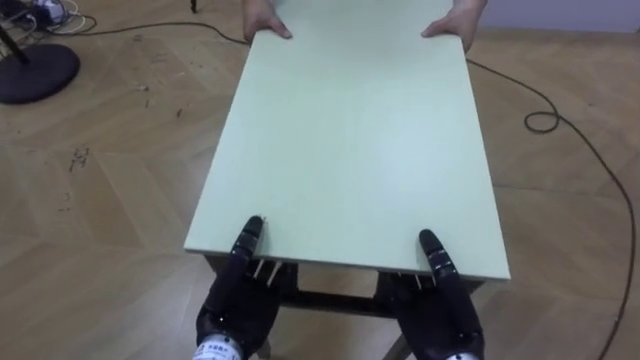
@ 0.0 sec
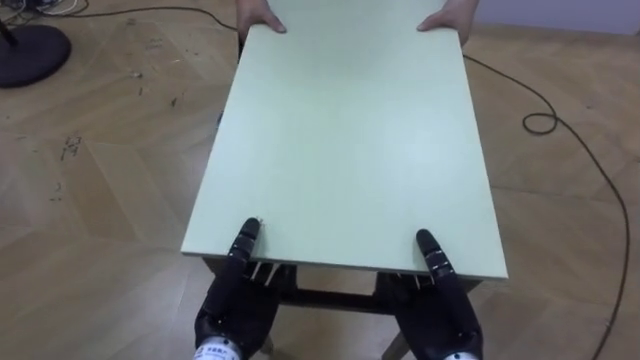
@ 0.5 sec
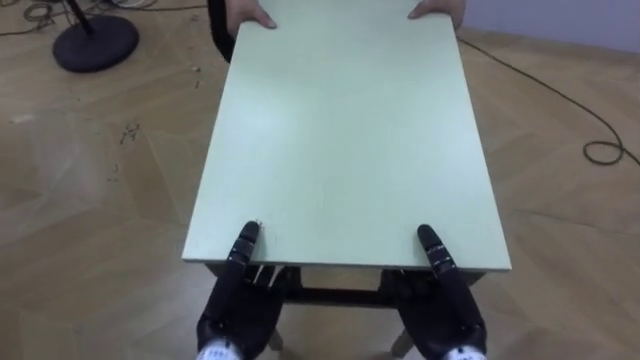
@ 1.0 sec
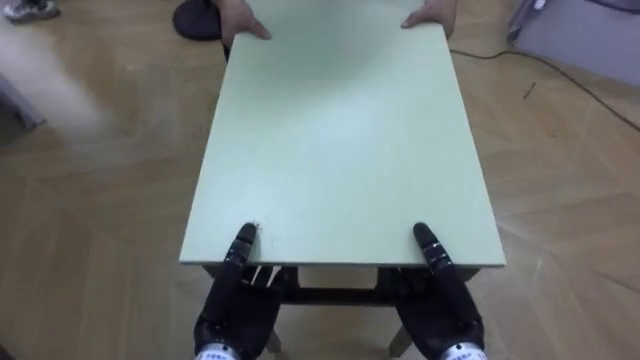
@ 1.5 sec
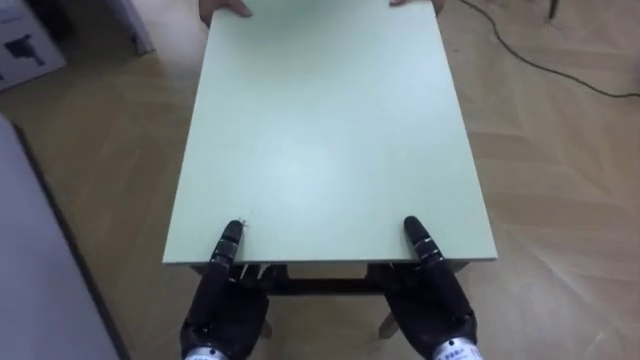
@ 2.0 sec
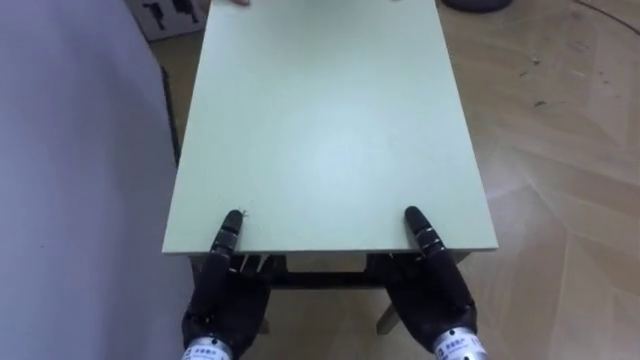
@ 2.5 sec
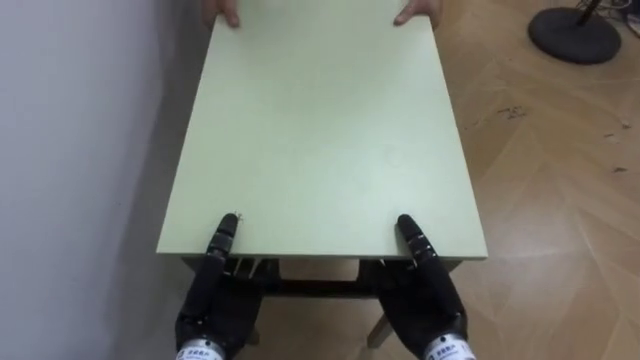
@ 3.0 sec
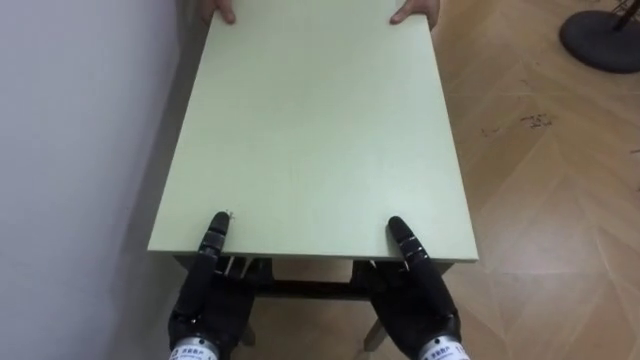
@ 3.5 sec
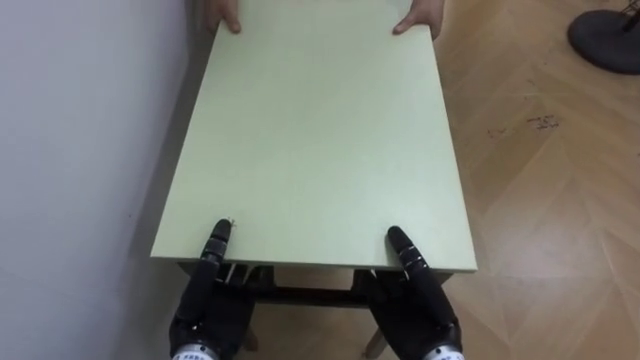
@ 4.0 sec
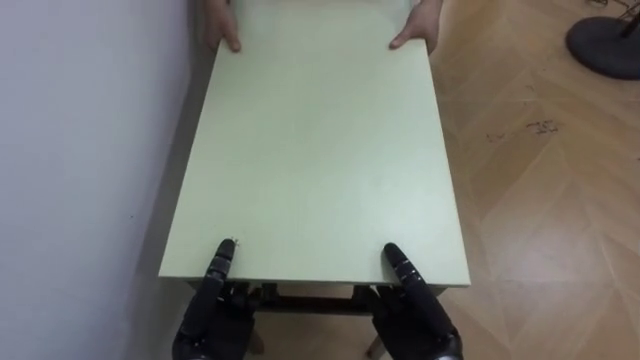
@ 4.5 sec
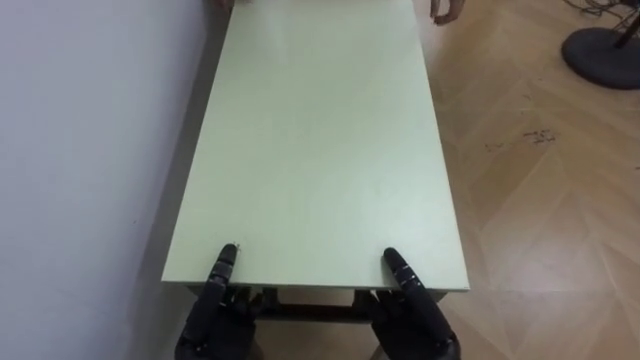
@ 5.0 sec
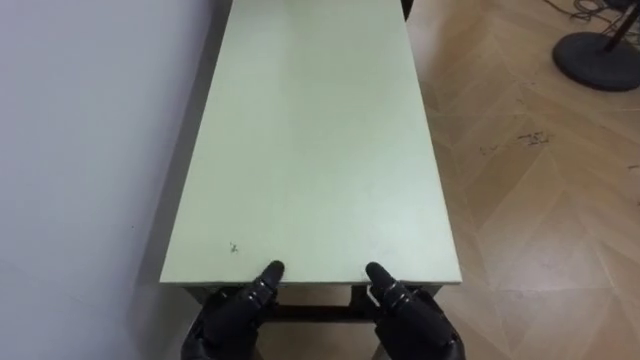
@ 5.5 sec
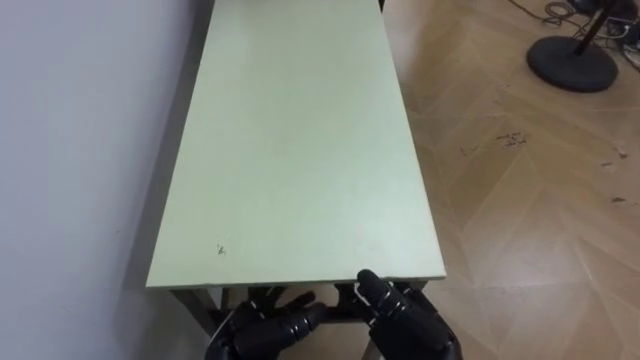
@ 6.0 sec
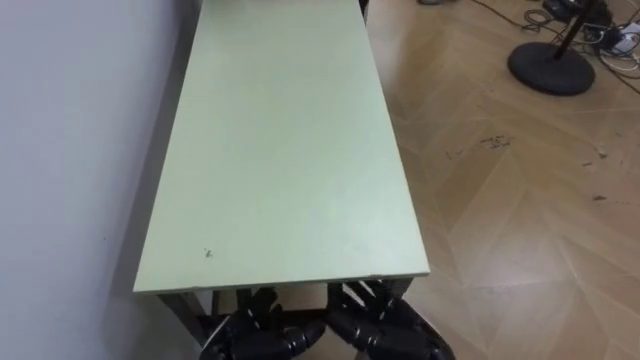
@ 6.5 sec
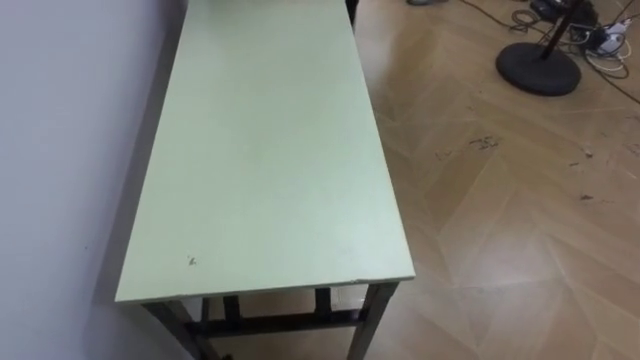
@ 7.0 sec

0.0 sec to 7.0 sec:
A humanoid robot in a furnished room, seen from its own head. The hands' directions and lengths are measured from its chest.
Task of the whole recording: Move the table to the back left with someone.
0.0 sec to 2.0 sec: The robot turns to its left by some 45 degrees.
2.0 sec to 3.5 sec: The robot turns to its left by approximately 35 degrees.
3.5 sec to 5.0 sec: The left hand moves some 5 cm.

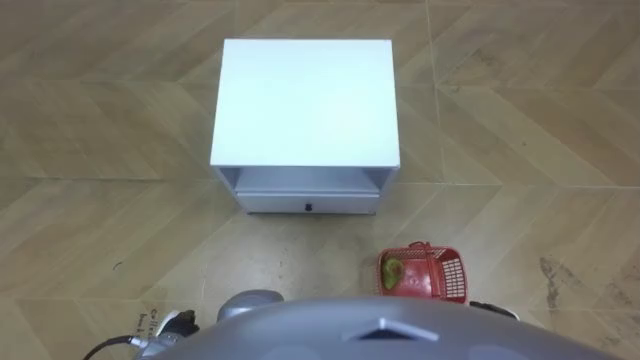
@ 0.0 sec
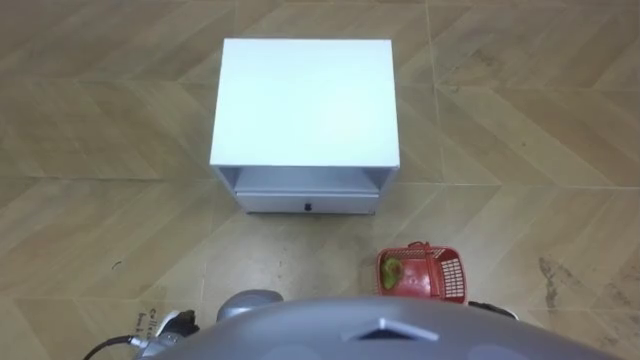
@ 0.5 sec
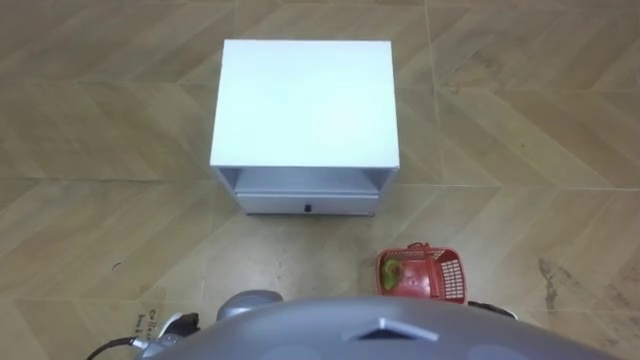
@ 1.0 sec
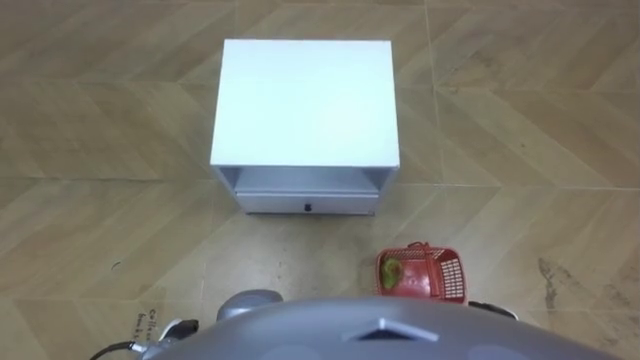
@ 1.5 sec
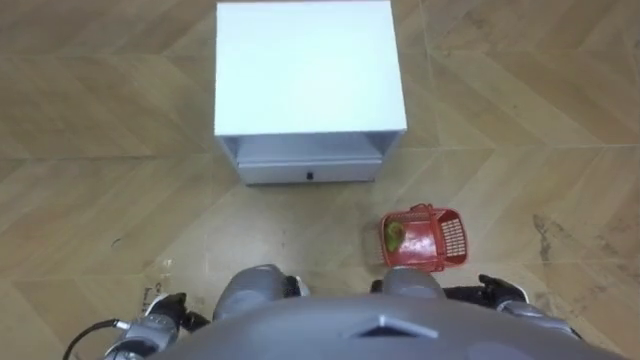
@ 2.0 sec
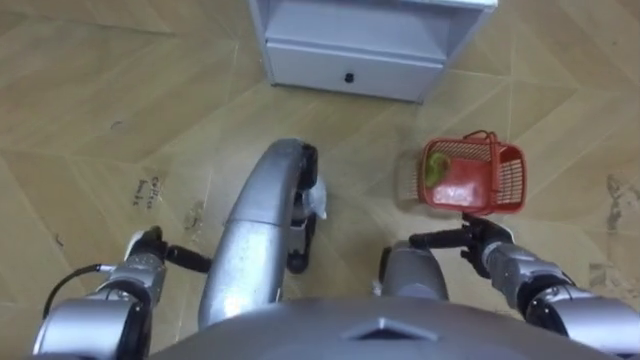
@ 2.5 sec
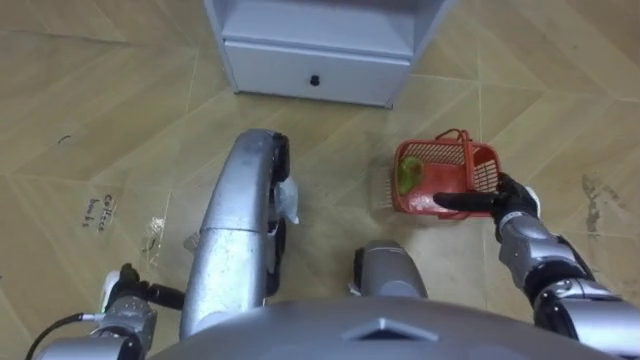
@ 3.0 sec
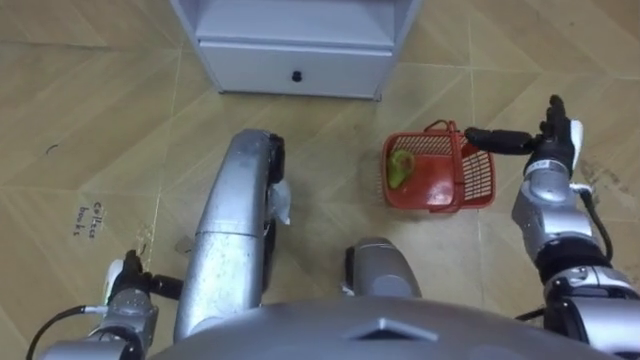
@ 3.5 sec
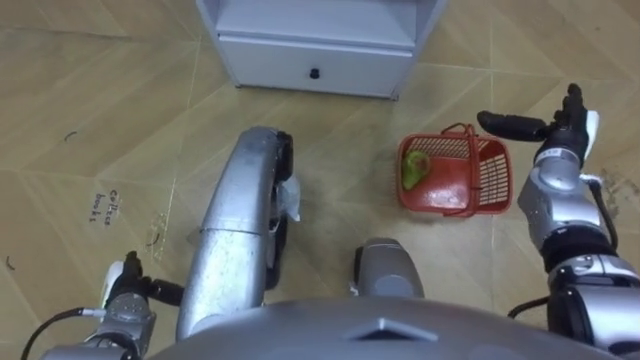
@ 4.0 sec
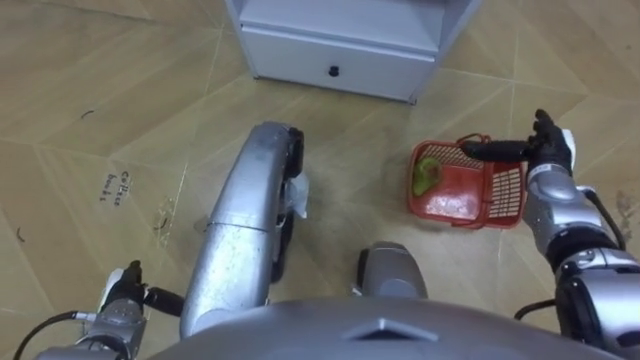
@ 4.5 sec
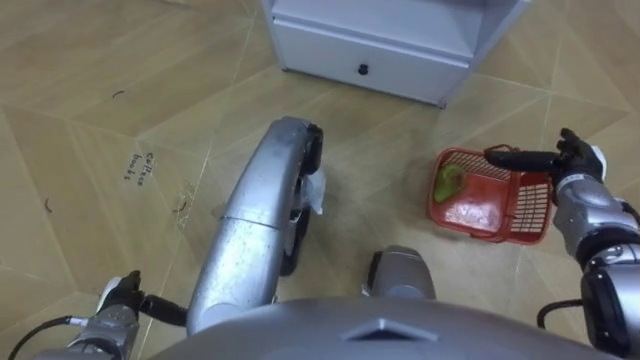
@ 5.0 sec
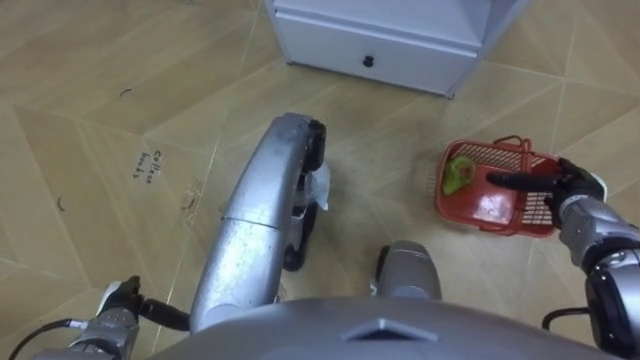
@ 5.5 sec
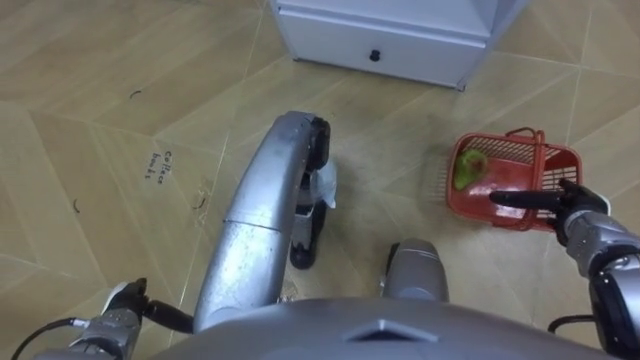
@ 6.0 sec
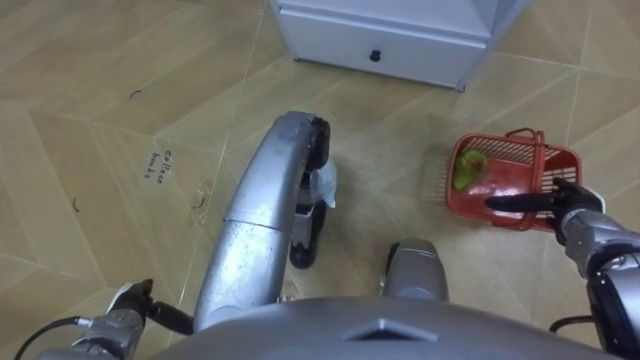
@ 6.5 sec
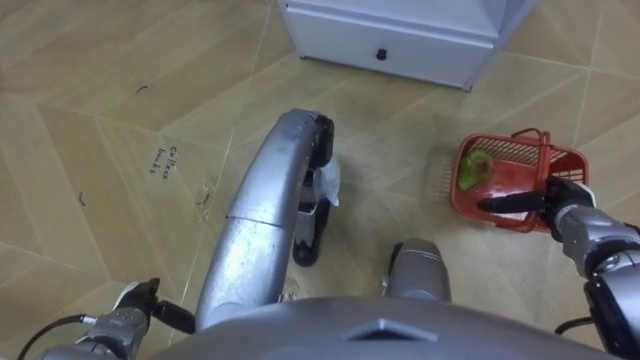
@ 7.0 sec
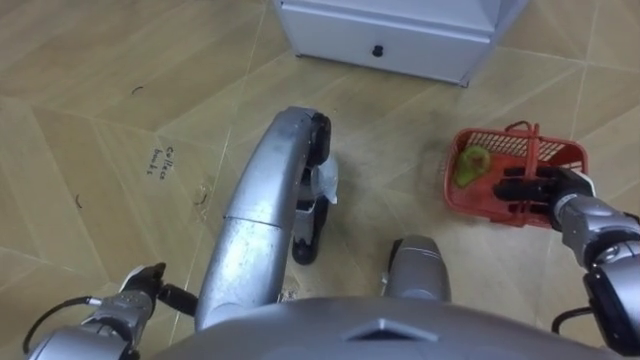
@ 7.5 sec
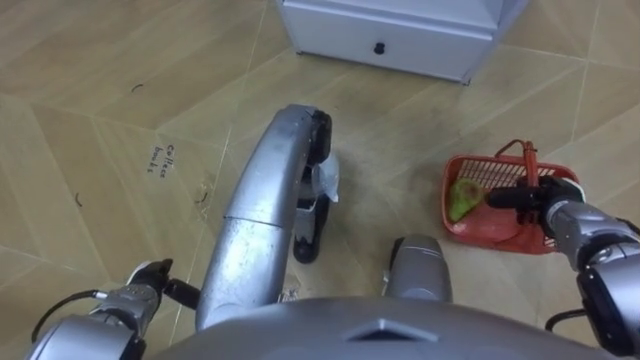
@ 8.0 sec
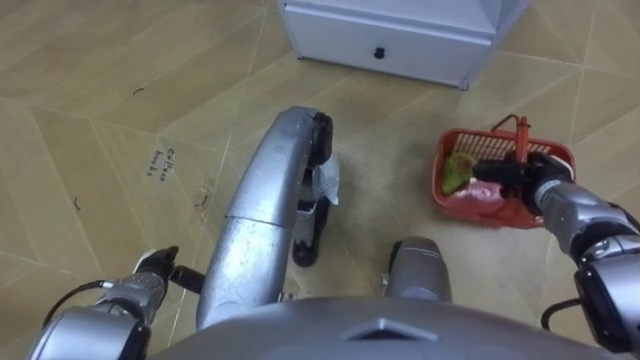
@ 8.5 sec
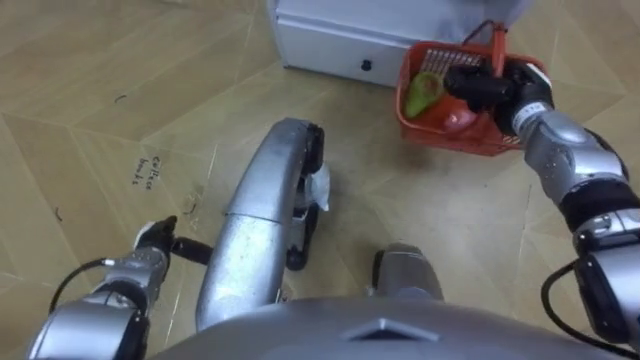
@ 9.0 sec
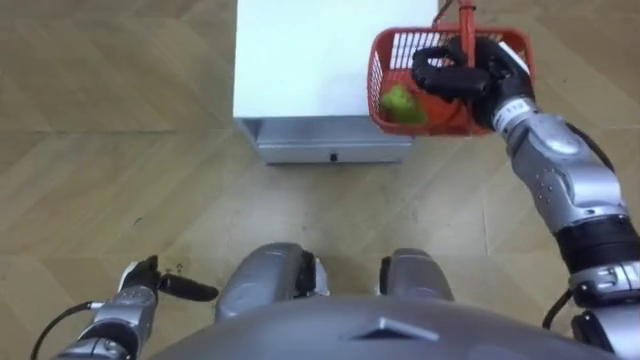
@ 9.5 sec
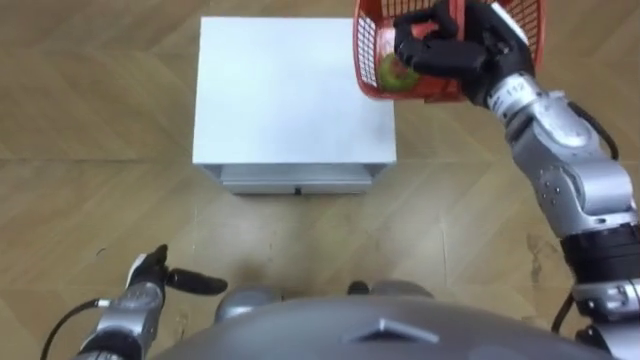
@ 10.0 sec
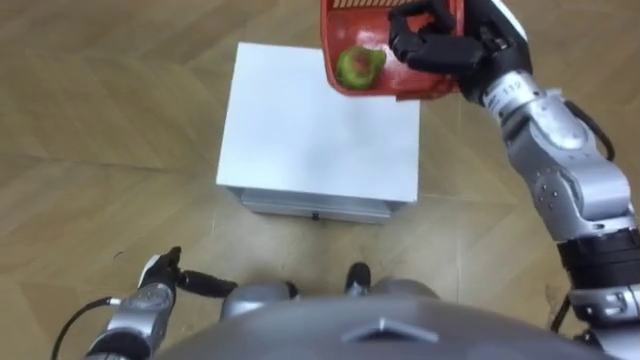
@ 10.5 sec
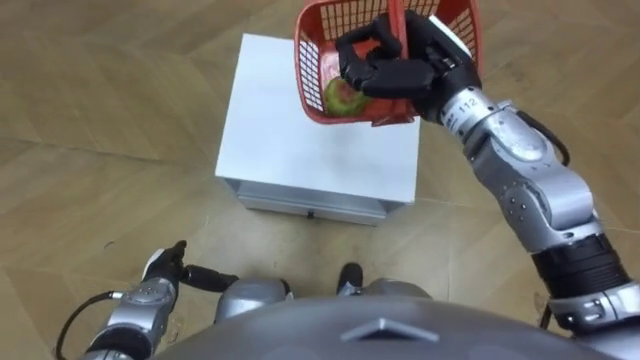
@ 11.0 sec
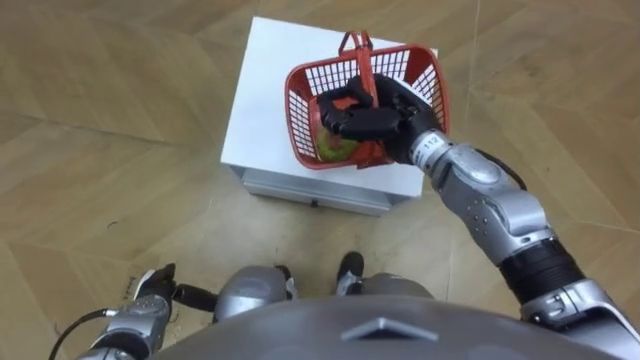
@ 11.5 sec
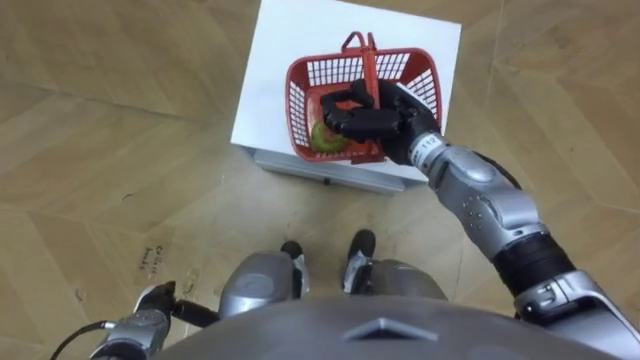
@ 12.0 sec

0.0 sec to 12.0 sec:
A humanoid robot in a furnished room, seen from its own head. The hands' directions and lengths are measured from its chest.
Task of the whole recording: Pick up the fruit basket from the floor and place it on the cabinet.
2.0 sec to 4.0 sec: The left hand heads to the left, covering roughly 5 cm. The right hand heads forward and upward, covering roughly 25 cm.
4.0 sec to 6.0 sec: The right hand goes about 10 cm backward and downward.
6.0 sec to 8.0 sec: The right hand closes its fingers.
8.0 sec to 10.0 sec: The right hand moves upward, to the left and forward, approximately 30 cm.
10.0 sec to 12.0 sec: The right hand goes some 10 cm downward and to the left.

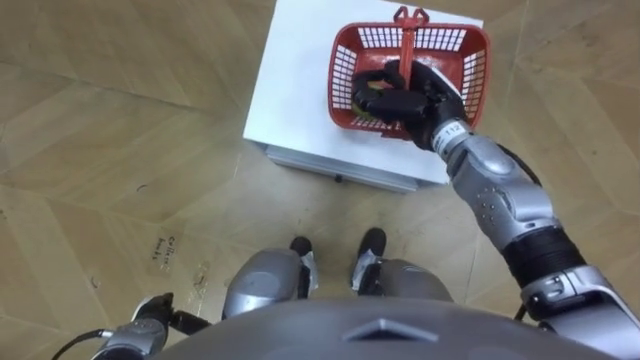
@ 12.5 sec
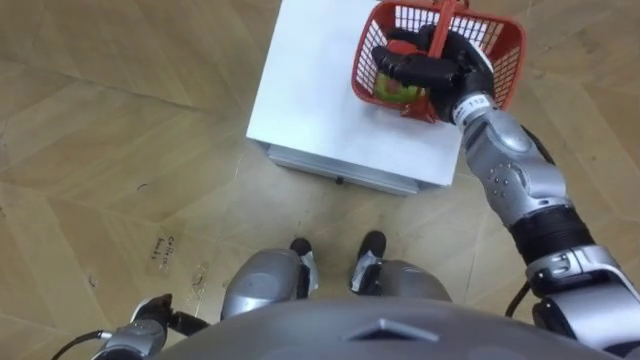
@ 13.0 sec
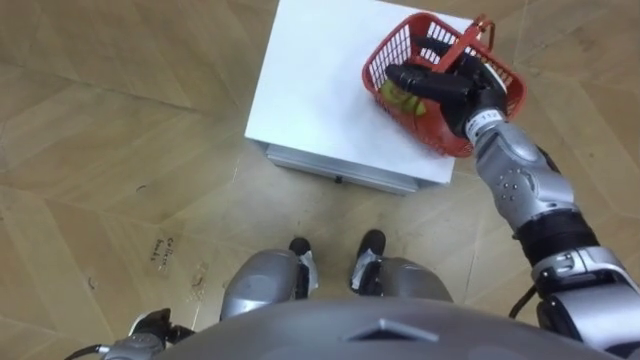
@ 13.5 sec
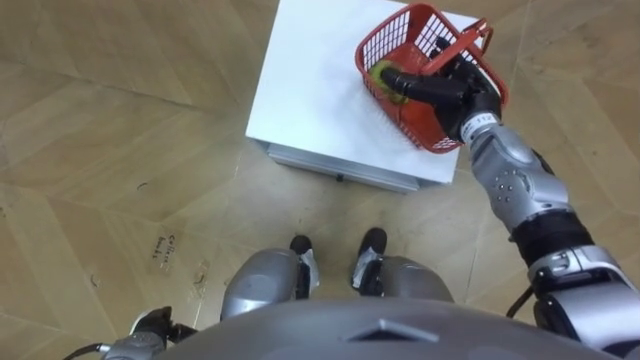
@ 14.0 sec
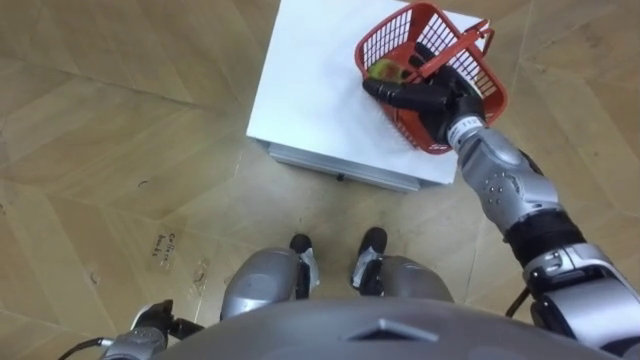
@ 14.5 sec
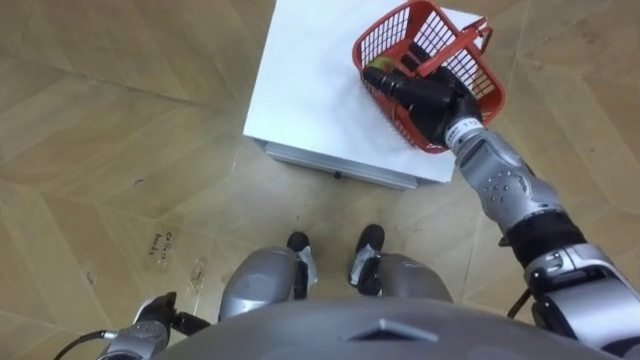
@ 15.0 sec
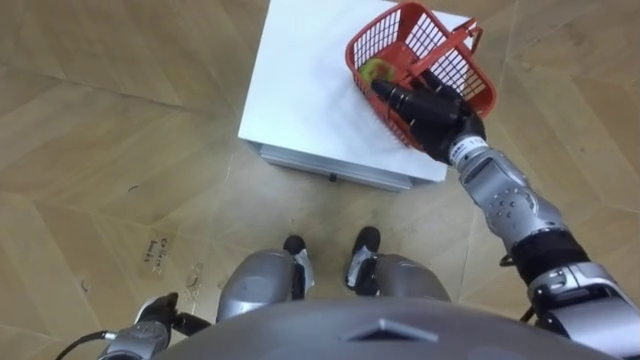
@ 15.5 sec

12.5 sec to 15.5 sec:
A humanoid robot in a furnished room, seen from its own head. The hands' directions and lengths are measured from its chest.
Task of the whole recording: Pick up the fruit basket from the floor and place it on the cabinet.
12.5 sec to 14.0 sec: The right hand goes approximately 5 cm to the right, and opens up.
14.0 sec to 15.5 sec: The hands move only a little.
